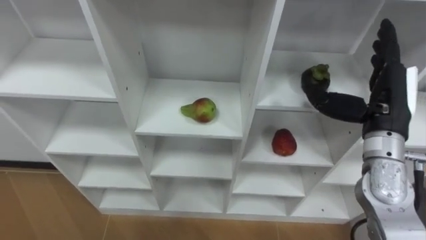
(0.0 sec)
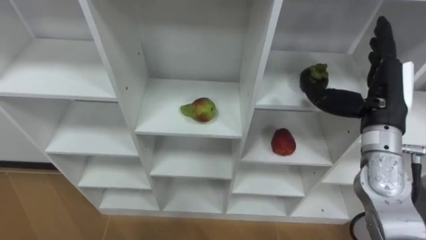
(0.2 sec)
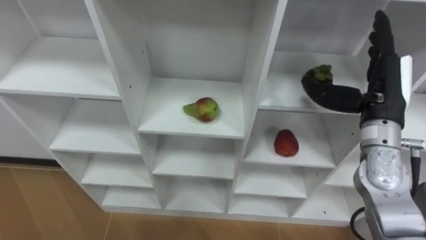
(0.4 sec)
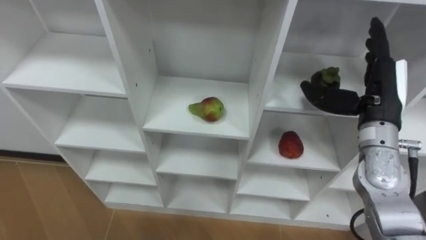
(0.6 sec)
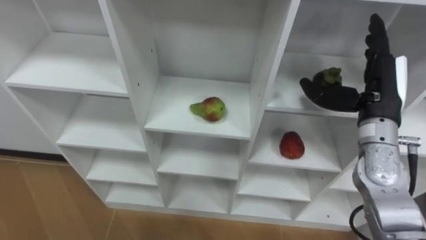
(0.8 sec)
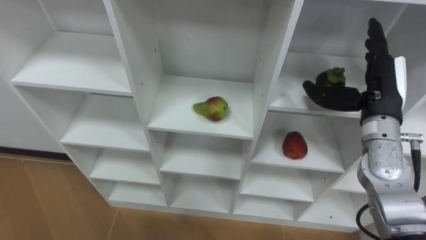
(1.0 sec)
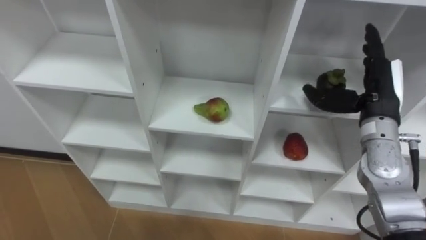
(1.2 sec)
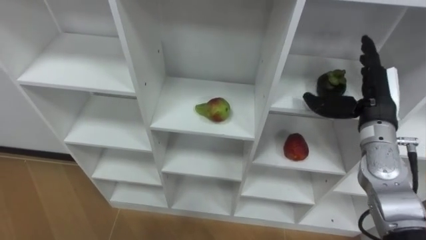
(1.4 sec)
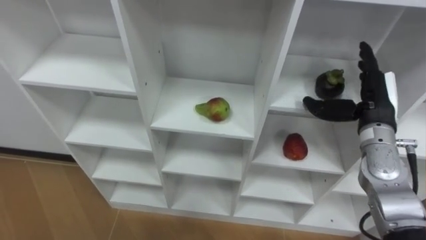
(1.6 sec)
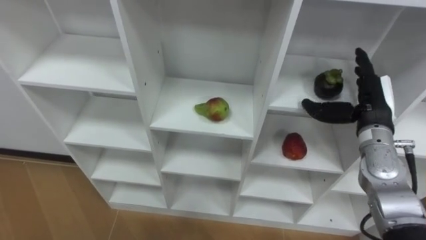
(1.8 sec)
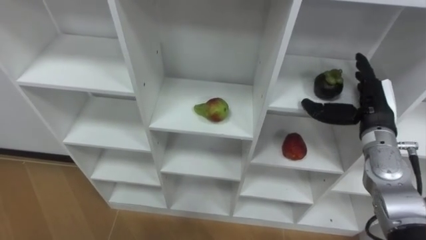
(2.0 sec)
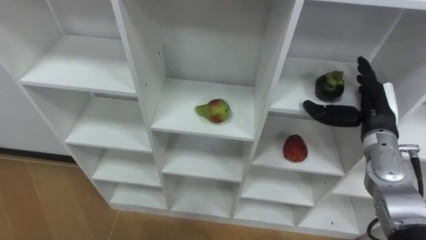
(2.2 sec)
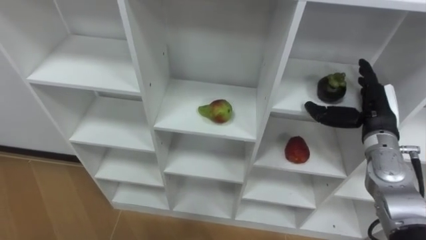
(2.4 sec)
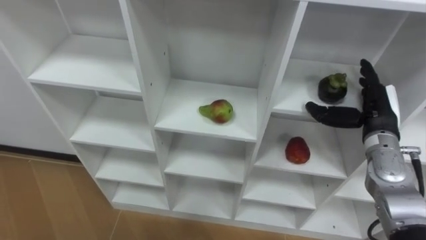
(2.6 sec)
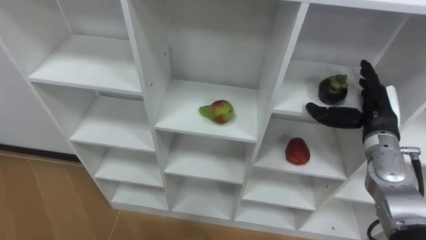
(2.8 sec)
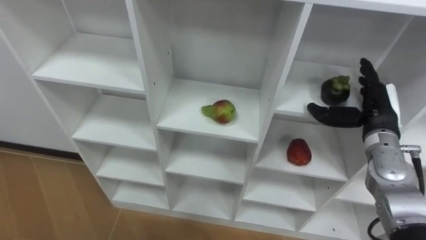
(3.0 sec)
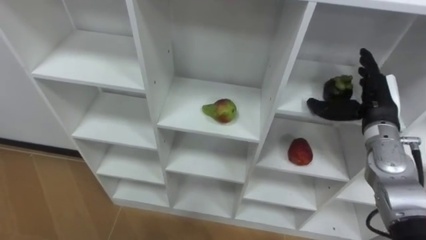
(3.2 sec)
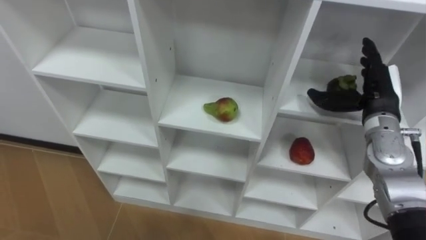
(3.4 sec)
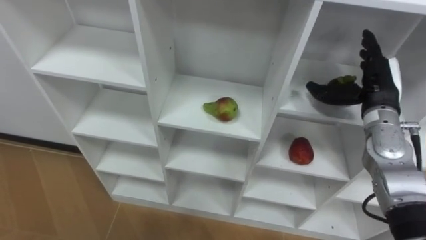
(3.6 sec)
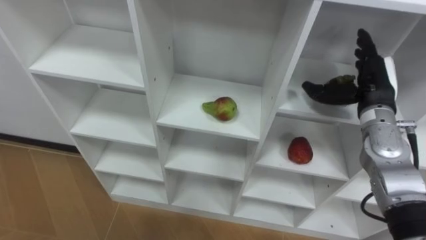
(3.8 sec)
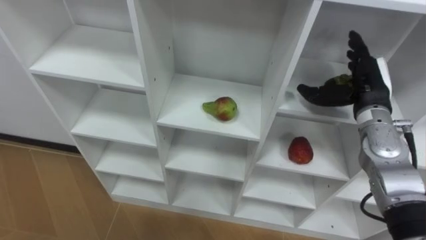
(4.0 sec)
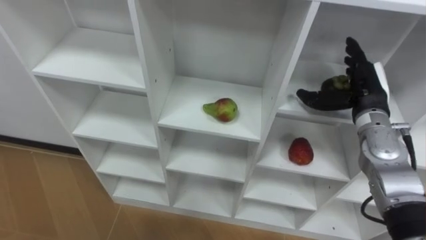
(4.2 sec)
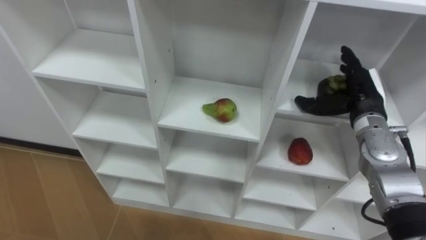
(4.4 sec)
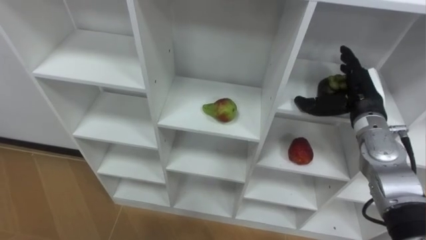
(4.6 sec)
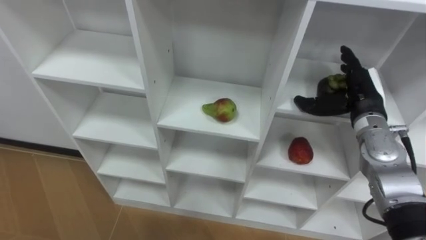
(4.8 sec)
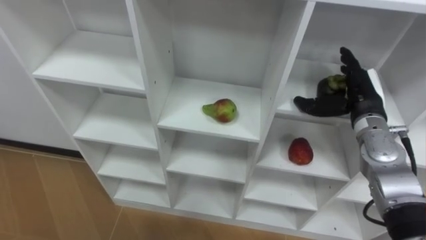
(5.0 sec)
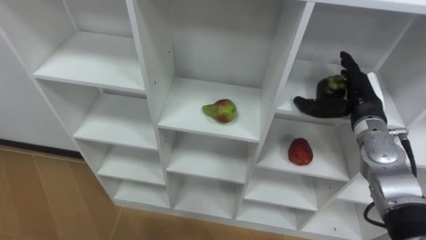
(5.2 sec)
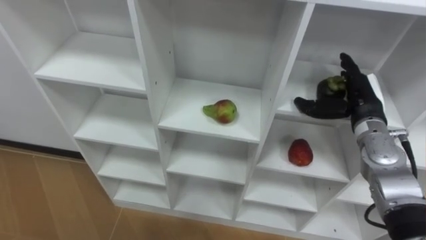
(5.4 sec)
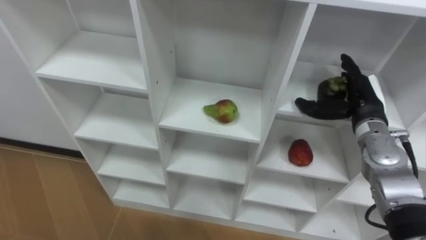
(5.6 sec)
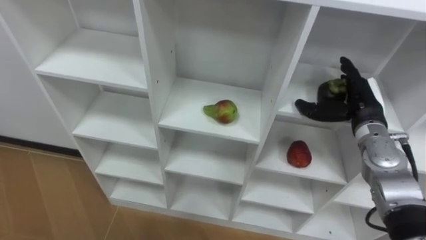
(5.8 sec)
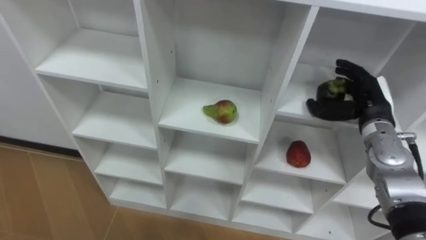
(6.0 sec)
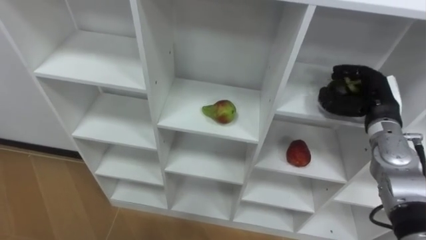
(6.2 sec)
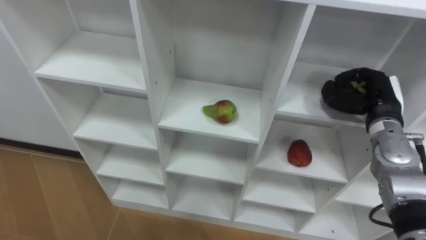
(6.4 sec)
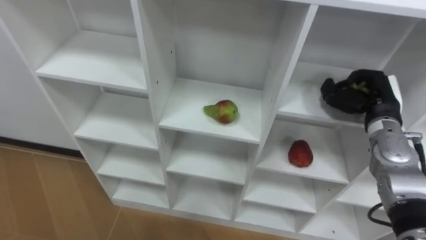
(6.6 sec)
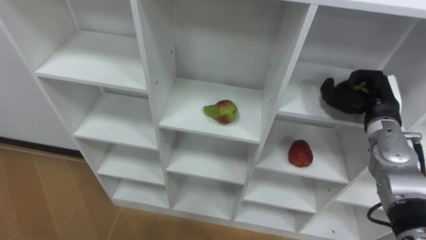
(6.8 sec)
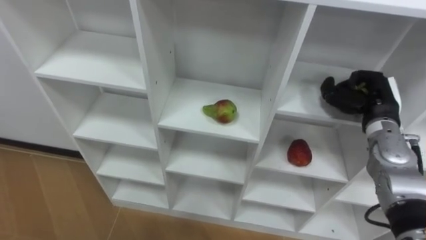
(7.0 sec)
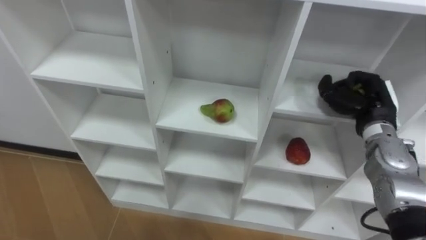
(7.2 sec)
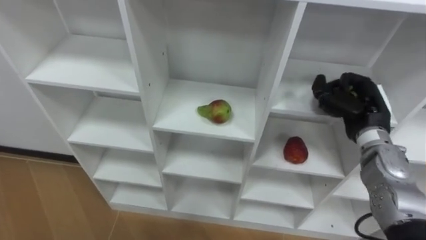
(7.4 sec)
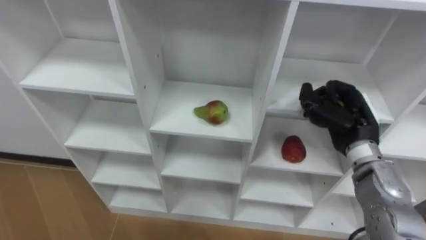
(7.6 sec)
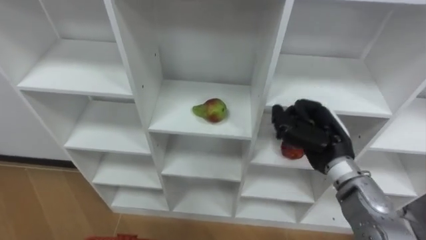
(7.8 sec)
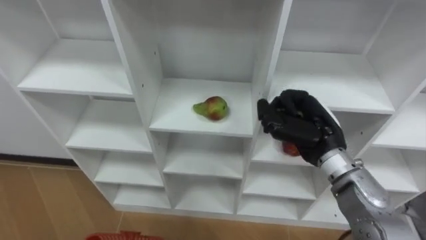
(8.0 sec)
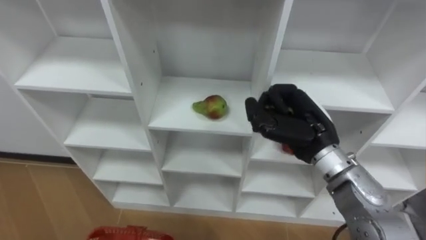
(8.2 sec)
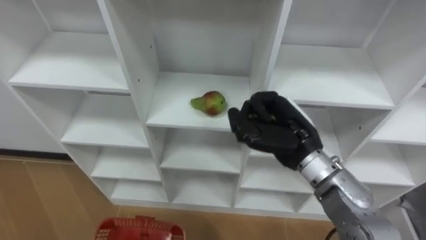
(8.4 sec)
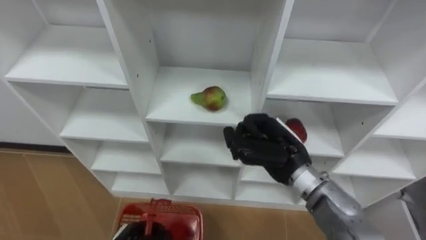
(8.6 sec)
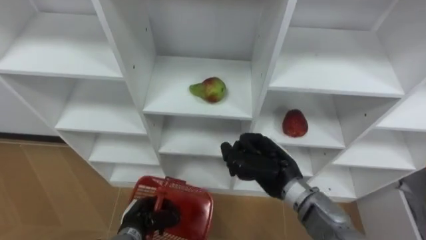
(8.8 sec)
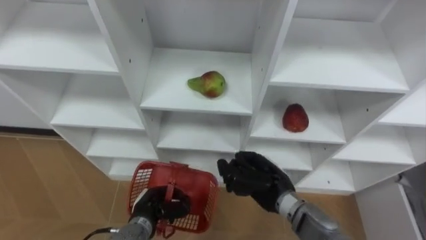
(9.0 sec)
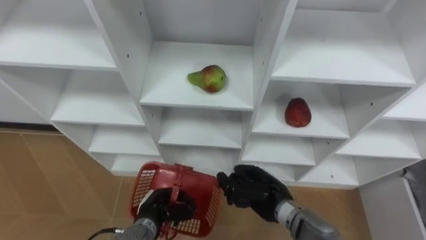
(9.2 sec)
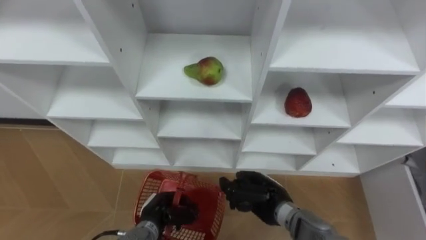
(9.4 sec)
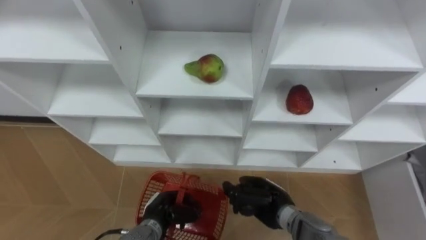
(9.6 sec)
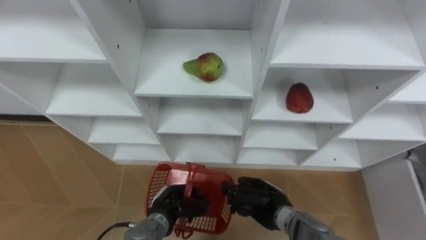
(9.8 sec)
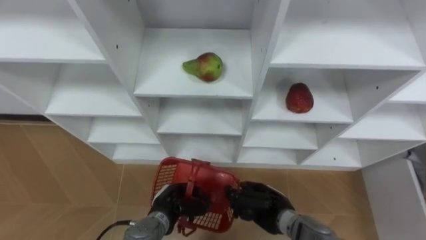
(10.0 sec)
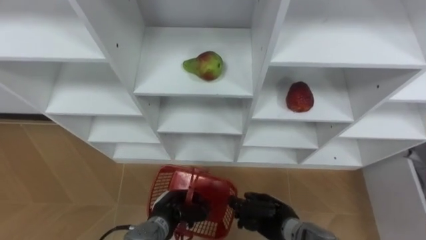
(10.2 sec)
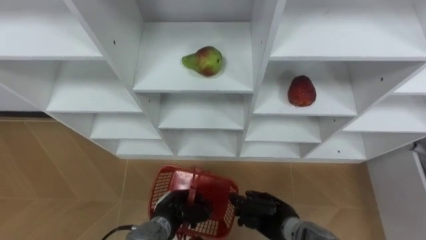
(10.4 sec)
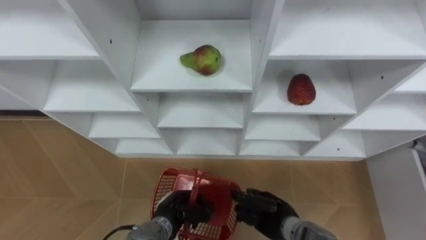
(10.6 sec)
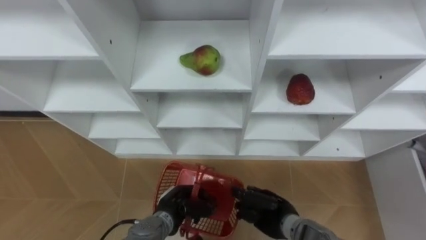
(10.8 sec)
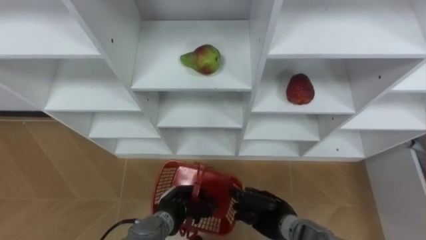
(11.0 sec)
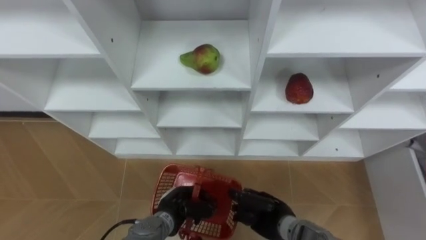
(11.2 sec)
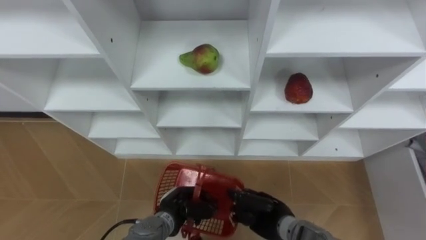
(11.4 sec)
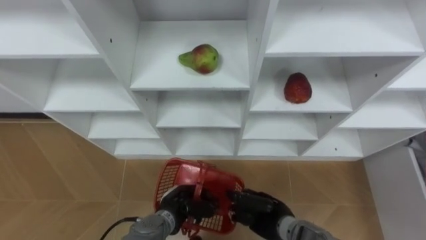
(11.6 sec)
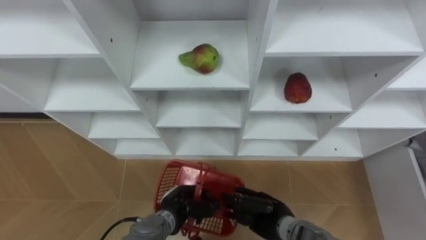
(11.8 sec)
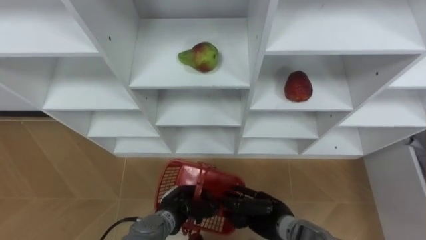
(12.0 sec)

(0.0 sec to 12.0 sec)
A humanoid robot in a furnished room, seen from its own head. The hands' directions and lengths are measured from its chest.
Task of the whole recording: Hold the basket and collect the fruits from 3 different cells of the closet into it.
0.0 sec - 1.6 sec: The right hand shifts by roughly 5 cm.
6.0 sec - 7.6 sec: The right hand shifts by about 5 cm, and closes up.
7.6 sec - 9.0 sec: The right hand goes about 20 cm to the left, downward and backward.
9.0 sec - 10.4 sec: The right hand travels downward by about 10 cm.
10.4 sec - 12.0 sec: The right hand opens its fingers.

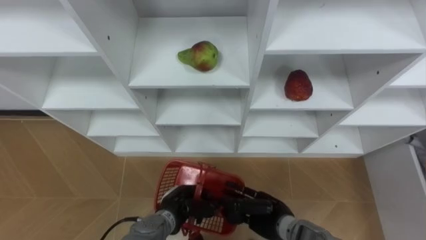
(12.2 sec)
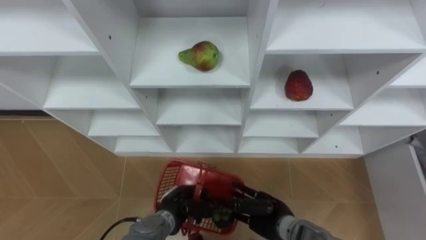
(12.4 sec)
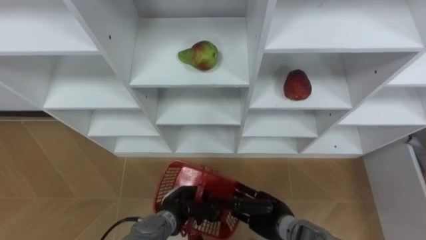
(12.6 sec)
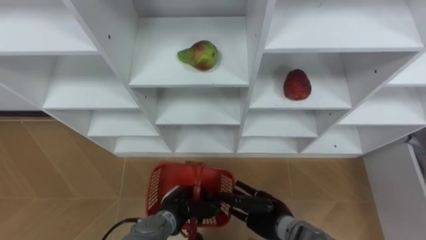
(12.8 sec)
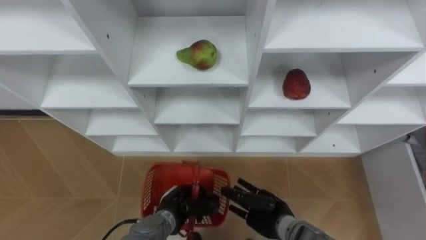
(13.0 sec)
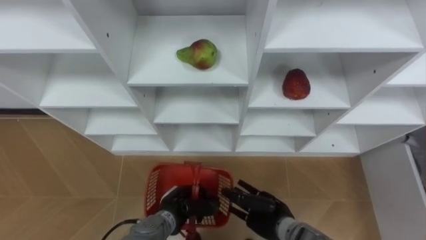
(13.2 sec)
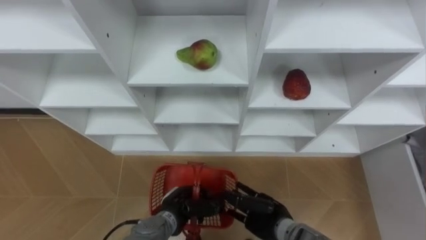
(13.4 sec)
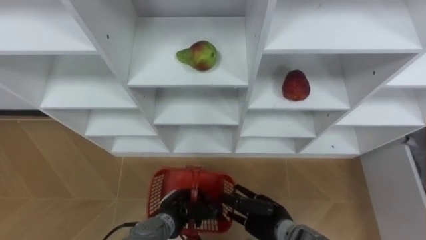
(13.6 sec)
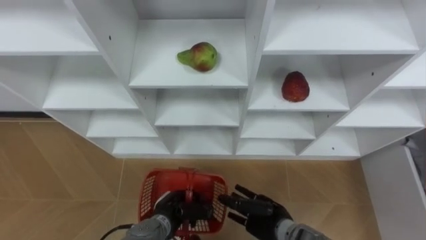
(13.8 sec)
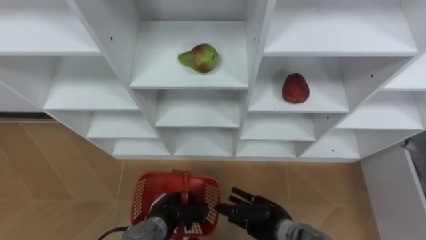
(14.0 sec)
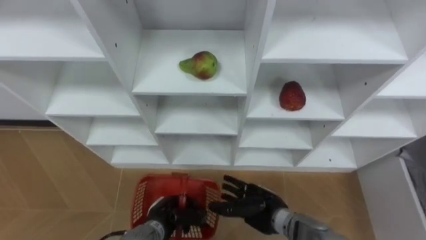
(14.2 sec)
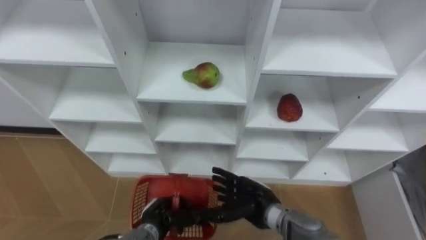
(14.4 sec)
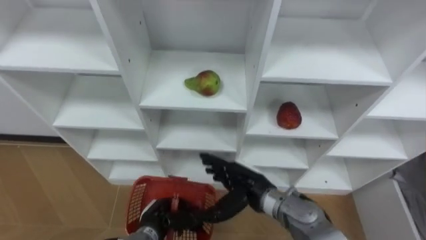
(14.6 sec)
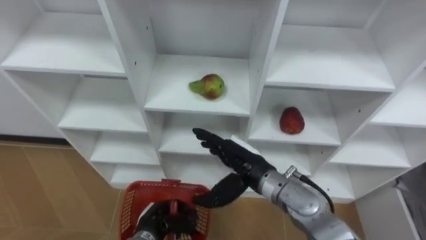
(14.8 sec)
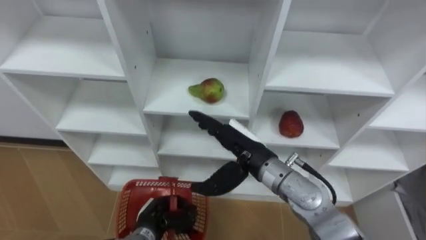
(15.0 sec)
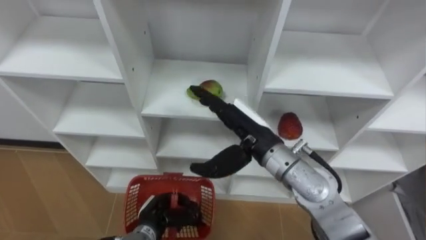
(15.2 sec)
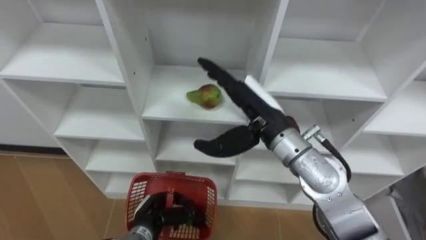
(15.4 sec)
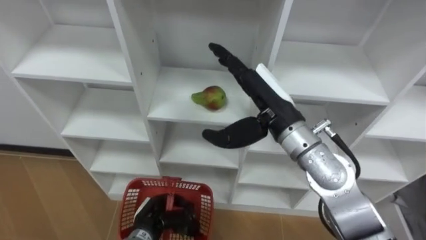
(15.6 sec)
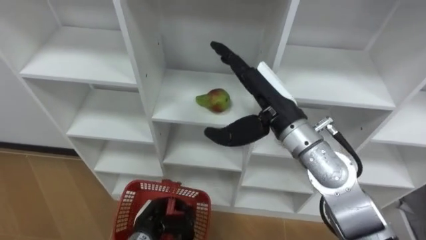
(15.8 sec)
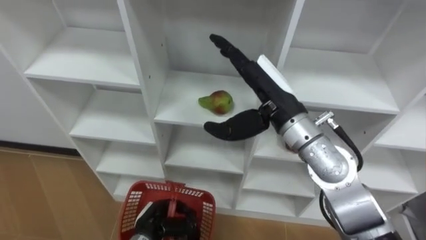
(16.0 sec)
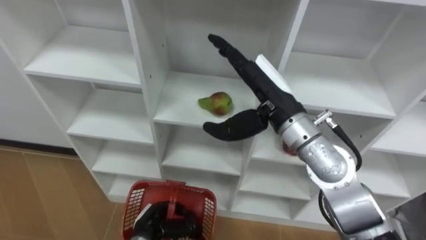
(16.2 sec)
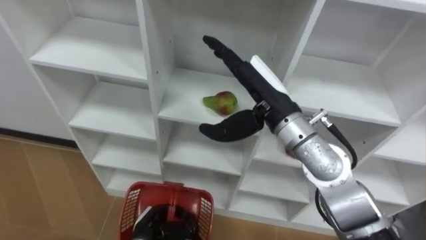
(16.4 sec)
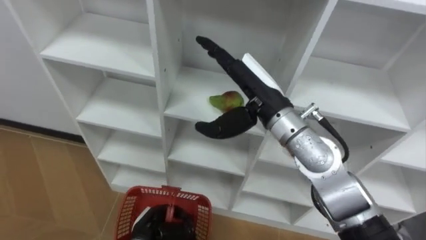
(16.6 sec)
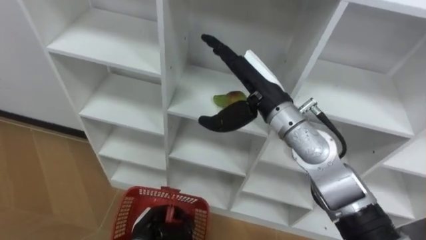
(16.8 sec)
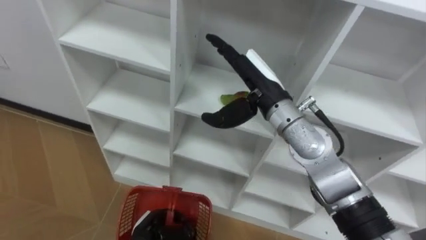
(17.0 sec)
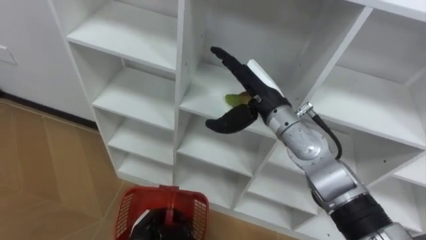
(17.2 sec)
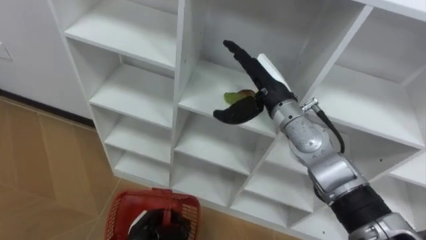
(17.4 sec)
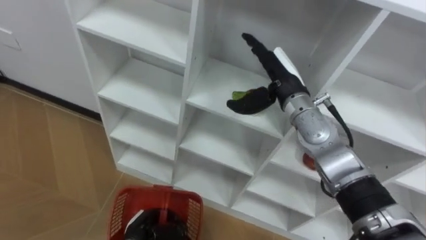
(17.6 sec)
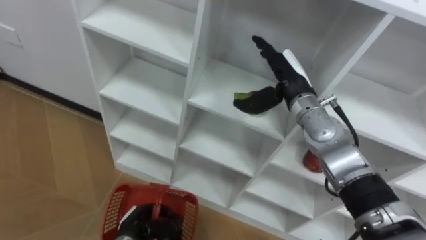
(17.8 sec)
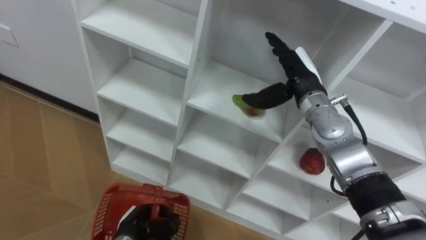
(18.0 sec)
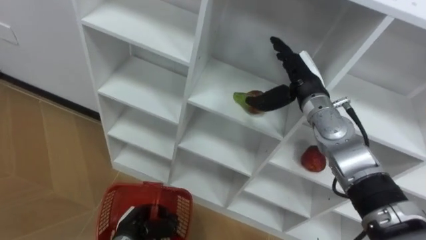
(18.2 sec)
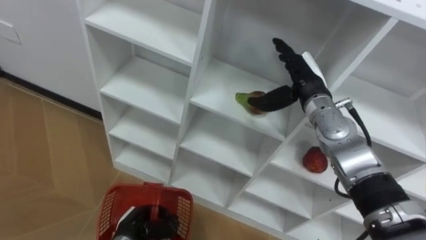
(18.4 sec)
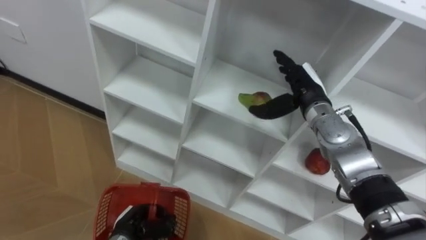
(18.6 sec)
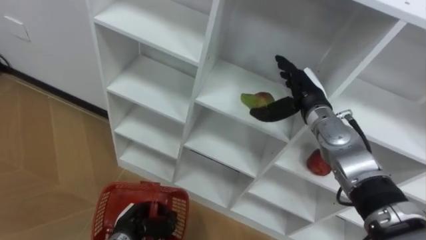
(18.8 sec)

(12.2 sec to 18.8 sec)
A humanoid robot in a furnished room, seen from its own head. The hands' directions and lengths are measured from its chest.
Task of the whole recording: Hold the basket and collect the fruits from 3 different cells of the closet into it.
13.8 sec - 15.4 sec: The right hand heads upward, covering about 25 cm.
15.4 sec - 17.2 sec: The right hand travels forward by some 5 cm.
17.2 sec - 18.8 sec: The right hand is displaced to the right and downward by approximately 10 cm.
